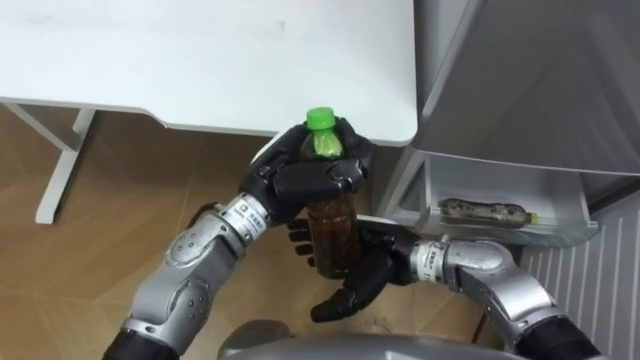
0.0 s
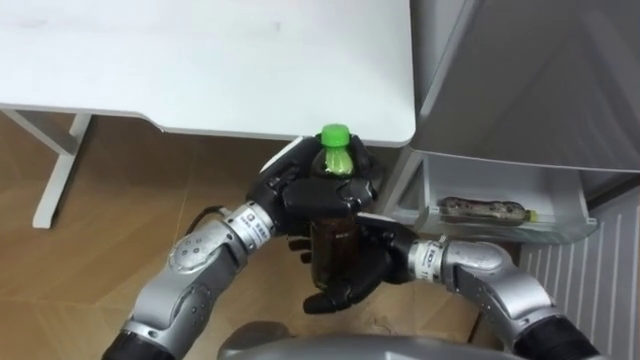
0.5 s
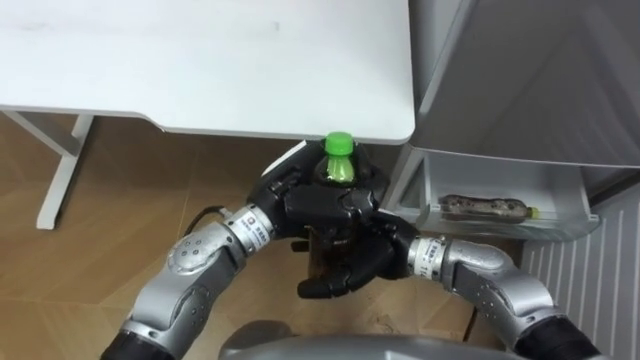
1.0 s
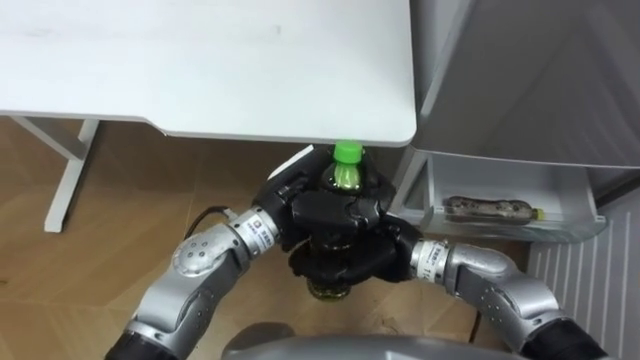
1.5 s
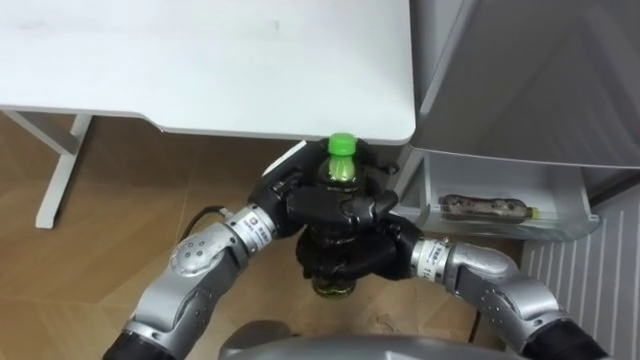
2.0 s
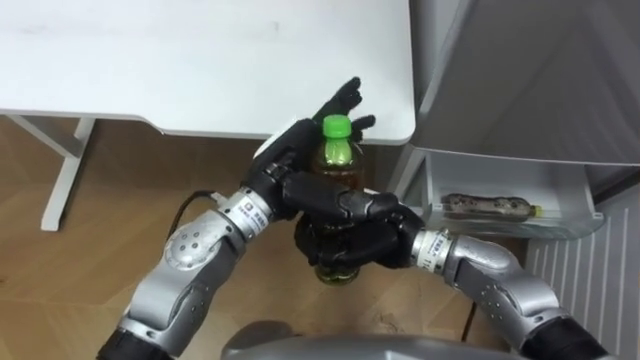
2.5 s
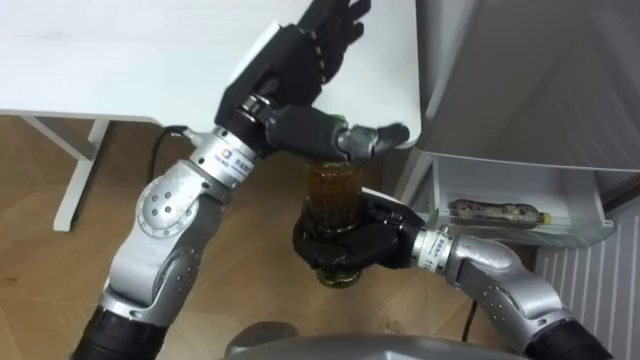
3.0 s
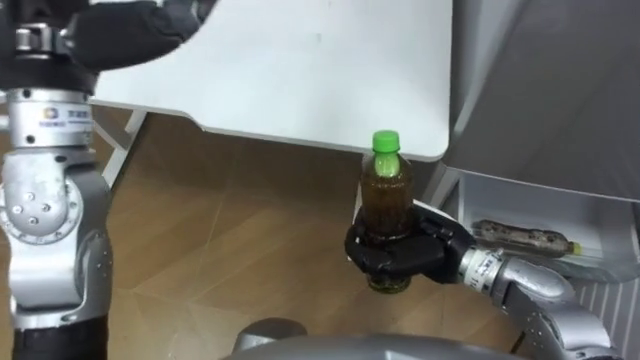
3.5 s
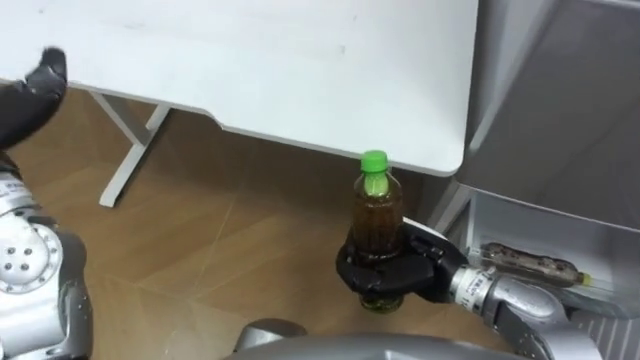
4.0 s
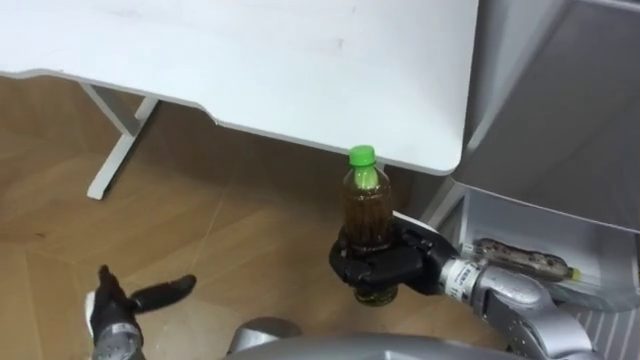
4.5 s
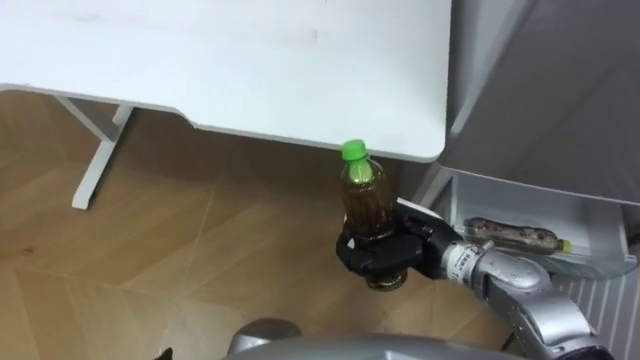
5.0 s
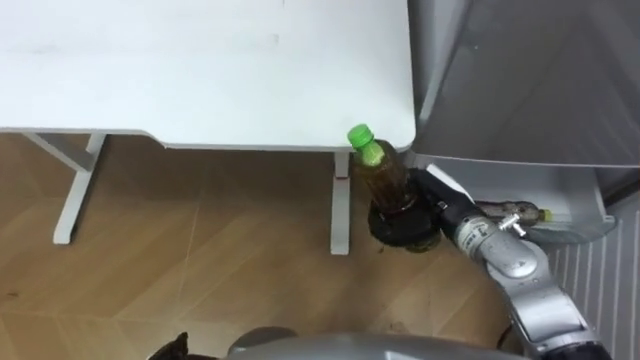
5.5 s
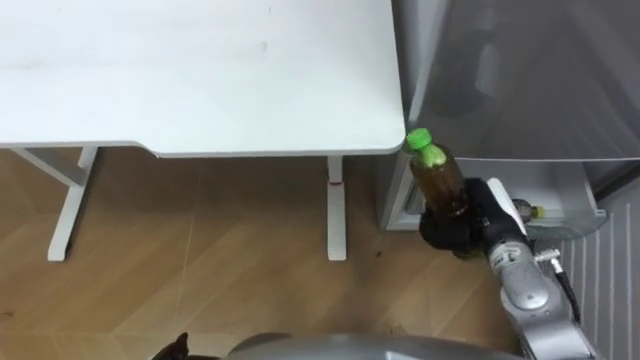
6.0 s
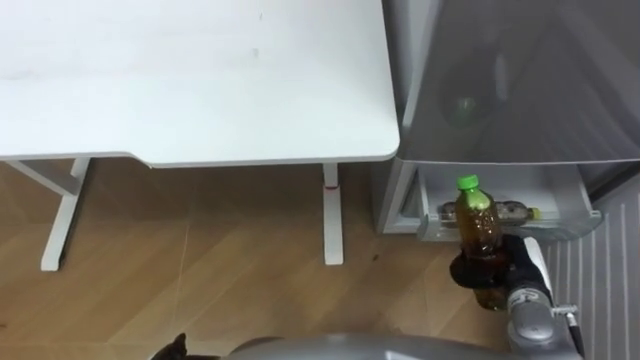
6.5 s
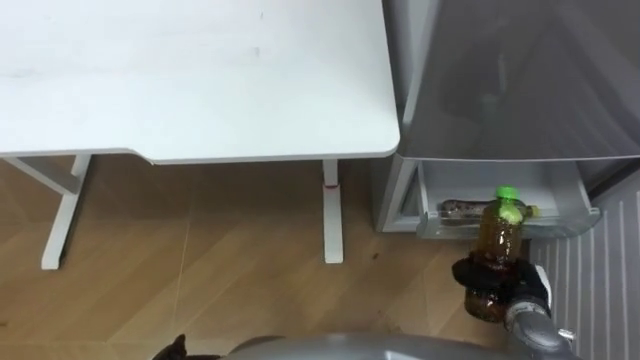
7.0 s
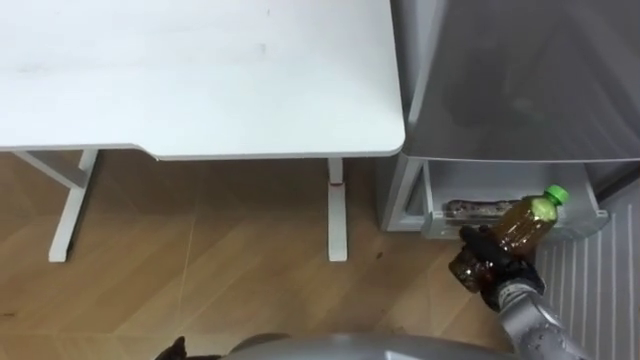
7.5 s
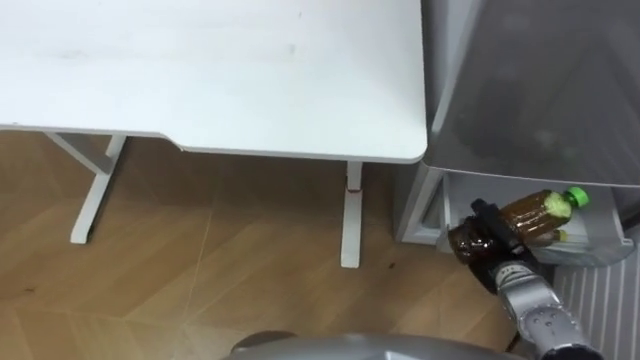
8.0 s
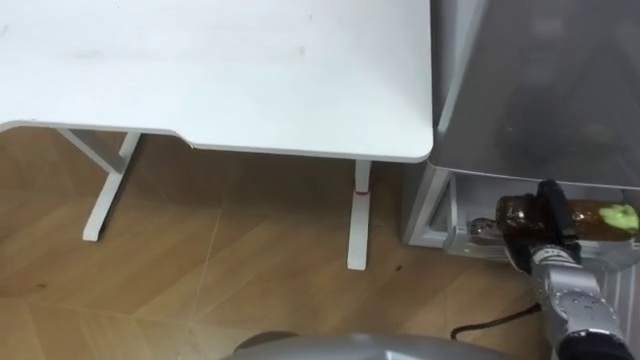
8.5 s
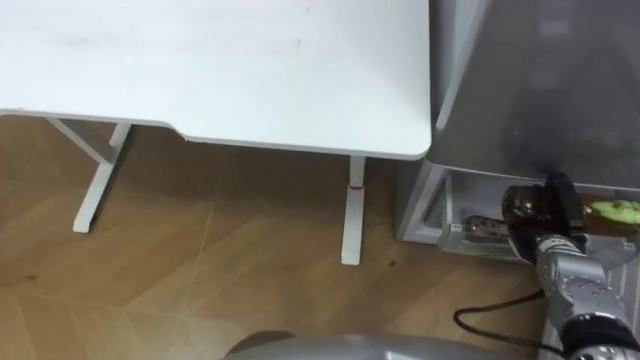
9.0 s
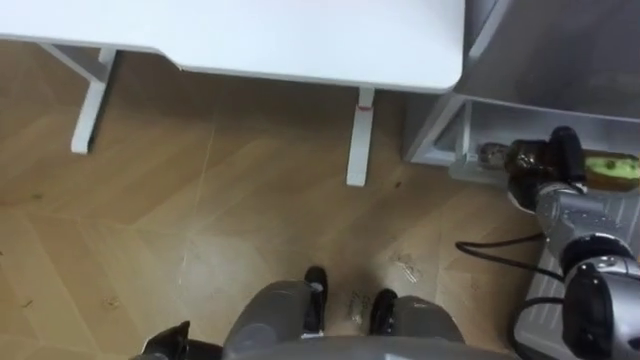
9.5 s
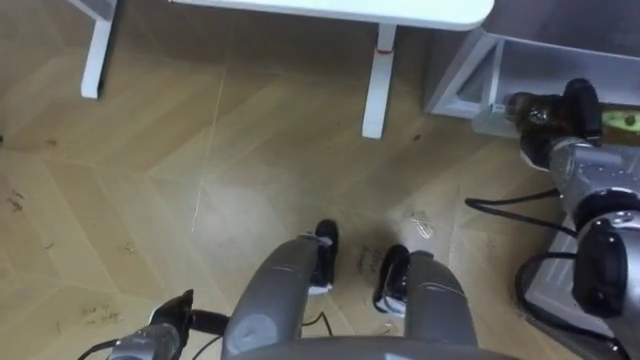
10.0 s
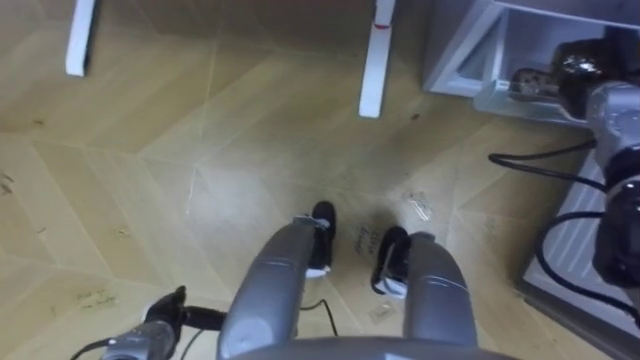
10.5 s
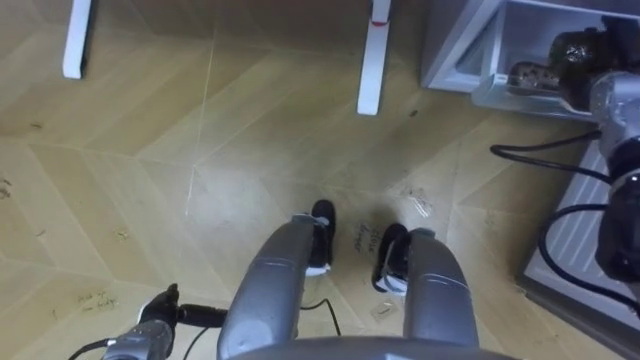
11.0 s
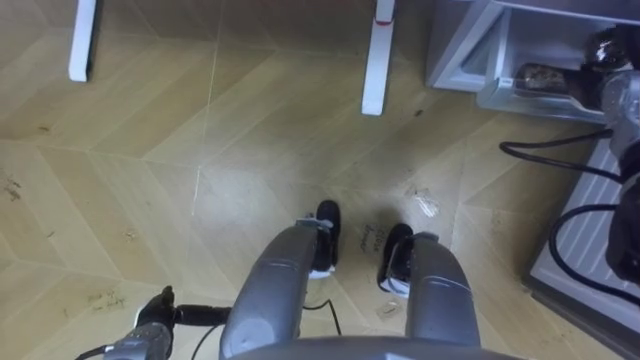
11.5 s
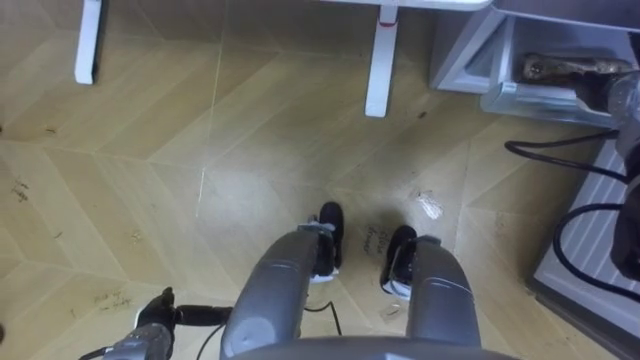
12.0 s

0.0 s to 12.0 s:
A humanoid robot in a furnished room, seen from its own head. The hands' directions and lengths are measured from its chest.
Task of the whole recording: Place the drink on the table on the bottom shelf of the refrigerator, then close the drawer and the refrigerator door.
0.0 to 2.0 s: The right hand closes.
2.0 to 4.0 s: The right hand heads to the right, covering some 5 cm.
4.0 to 6.0 s: The right hand travels to the right by about 10 cm.
6.0 to 8.0 s: The right hand travels downward by about 10 cm.
8.0 to 10.0 s: The right hand travels forward, upward and to the right by approximately 20 cm.
10.0 to 12.0 s: The right hand is displaced upward by approximately 10 cm, and opens its fingers.

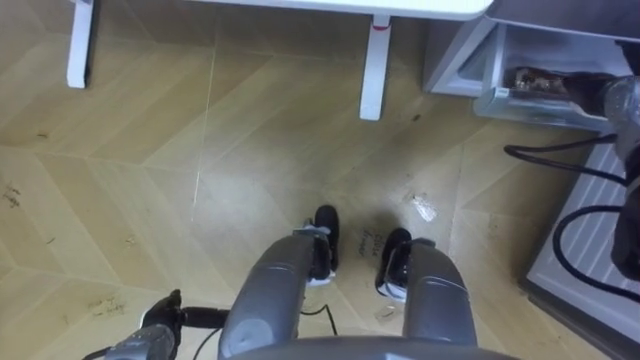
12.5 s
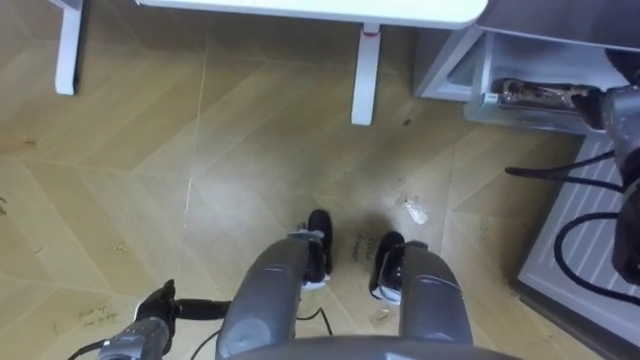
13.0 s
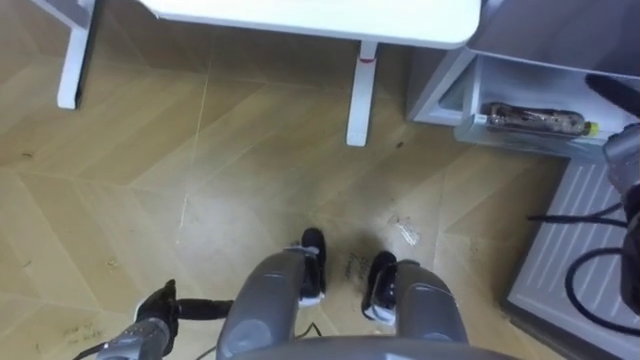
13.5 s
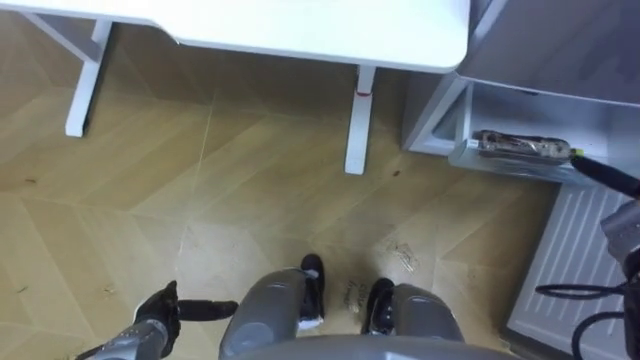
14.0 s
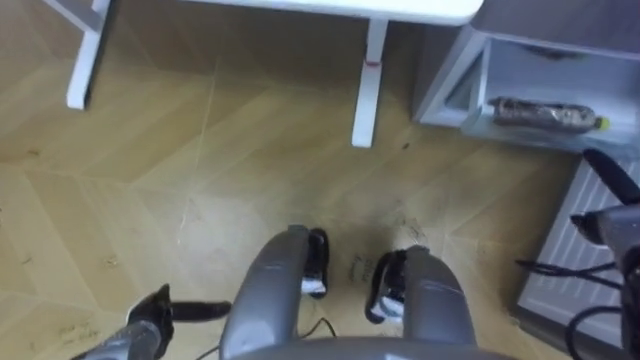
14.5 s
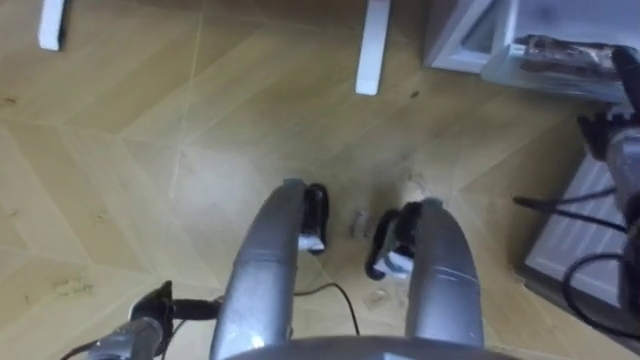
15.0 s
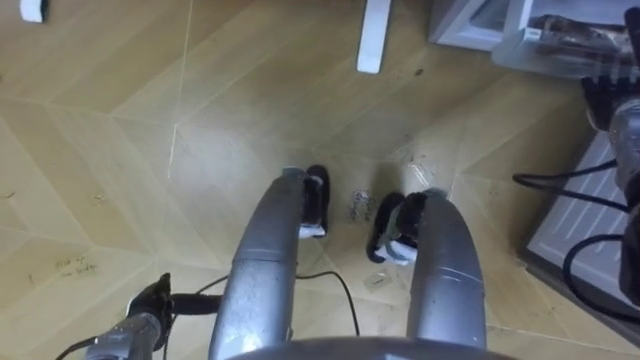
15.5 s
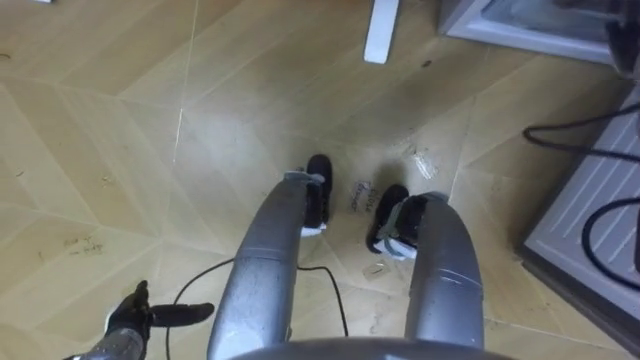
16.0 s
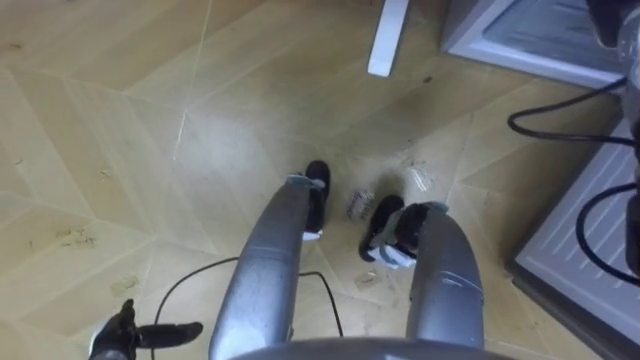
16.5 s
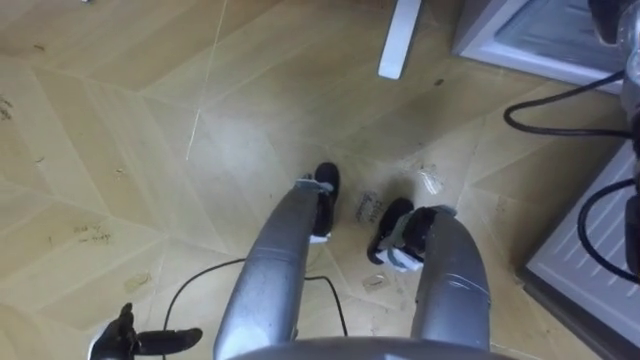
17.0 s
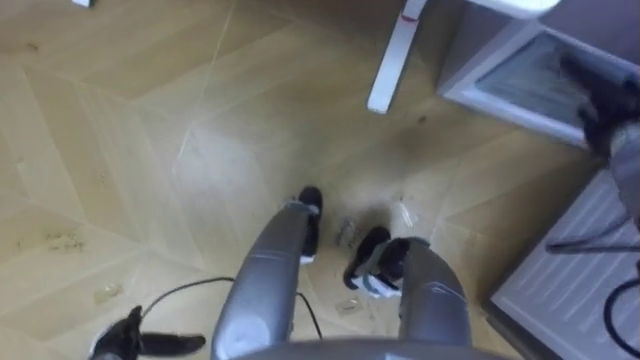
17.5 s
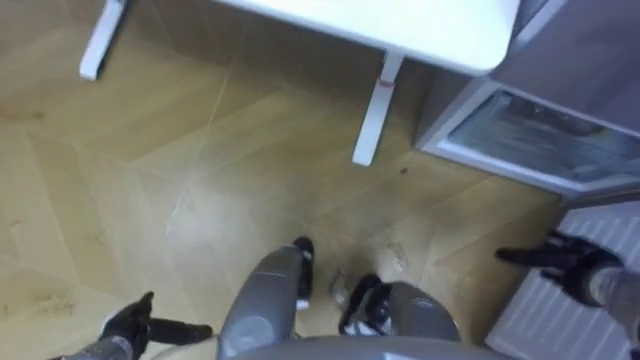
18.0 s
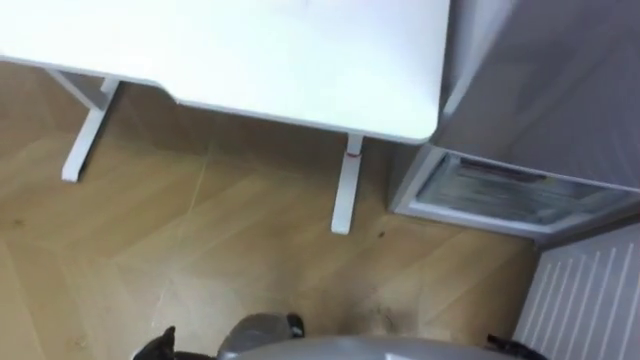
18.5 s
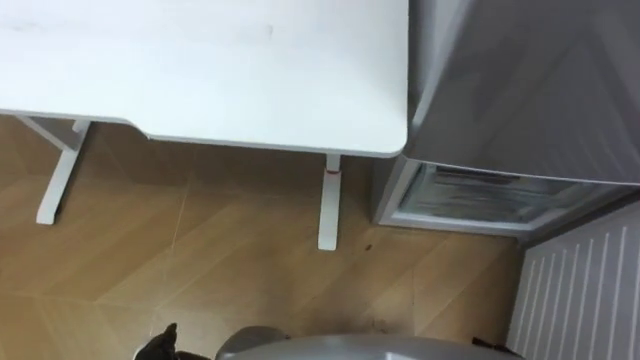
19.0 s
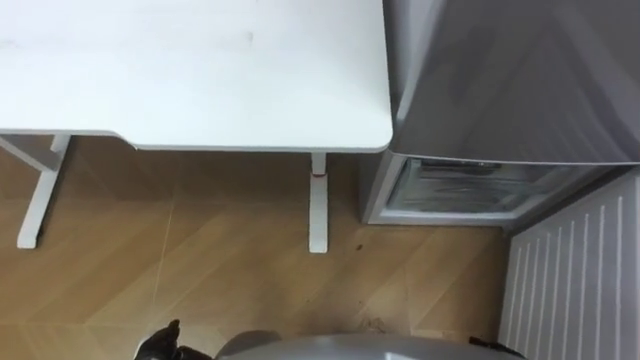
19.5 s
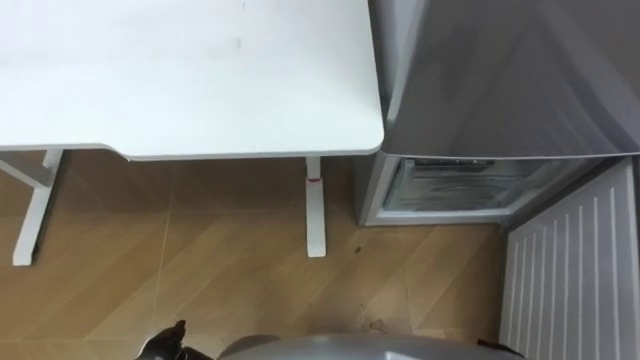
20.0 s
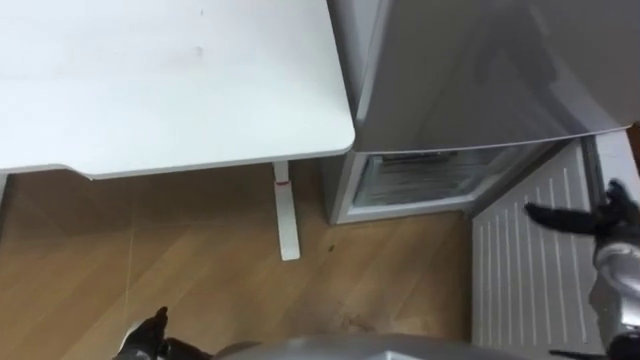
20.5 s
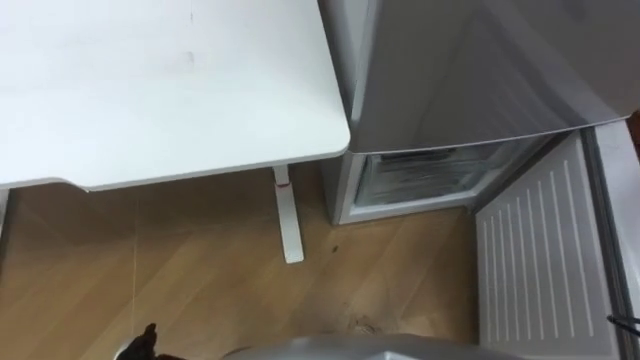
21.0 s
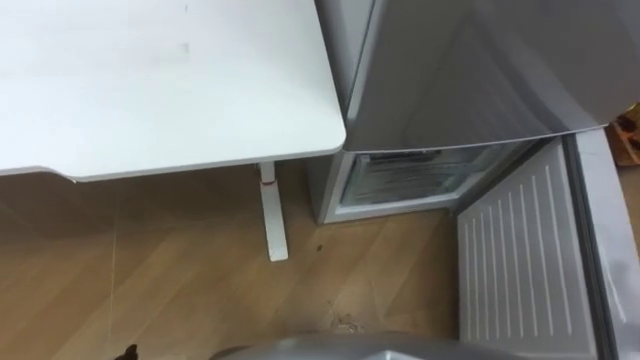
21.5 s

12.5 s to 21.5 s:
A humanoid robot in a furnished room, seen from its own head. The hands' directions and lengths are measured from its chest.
Task of the whole recording: Place the drink on the table on the bottom shelf of the refrigerator, then close the drawer and the refrigerator door.
12.5 to 14.5 s: The right hand shifts roughly 20 cm backward and downward.
14.5 to 17.0 s: The left hand ends up some 5 cm from where it was.
